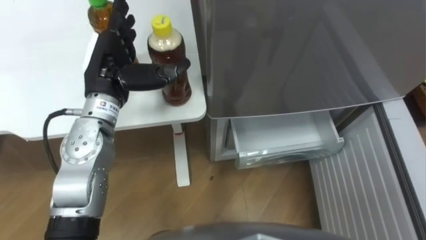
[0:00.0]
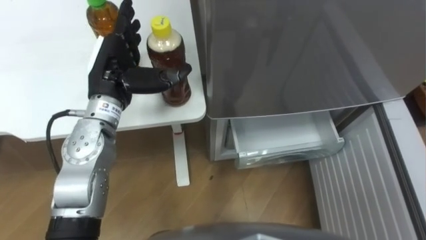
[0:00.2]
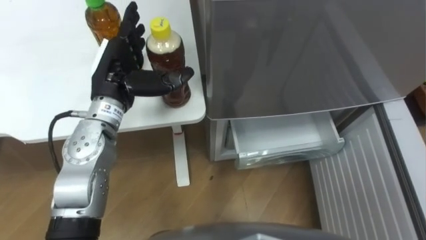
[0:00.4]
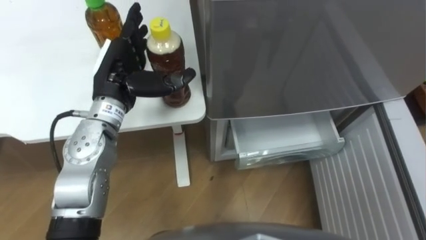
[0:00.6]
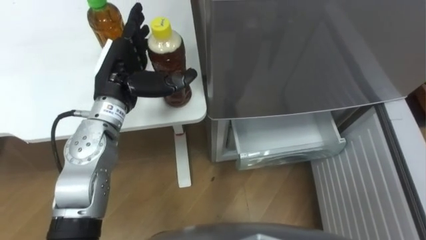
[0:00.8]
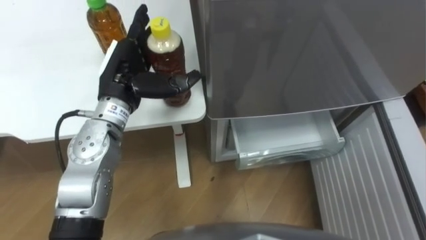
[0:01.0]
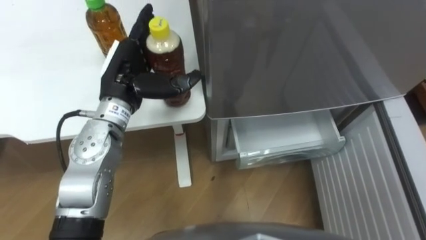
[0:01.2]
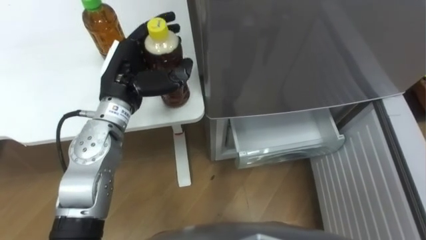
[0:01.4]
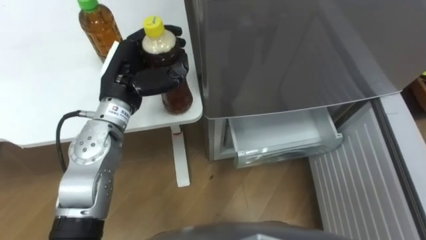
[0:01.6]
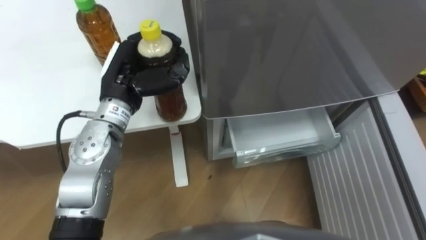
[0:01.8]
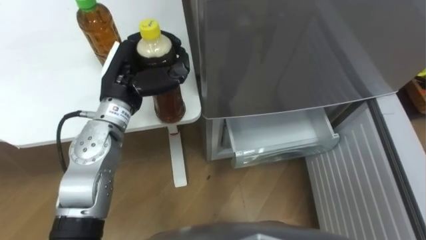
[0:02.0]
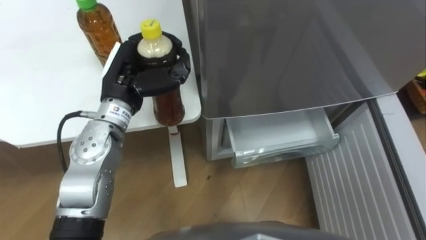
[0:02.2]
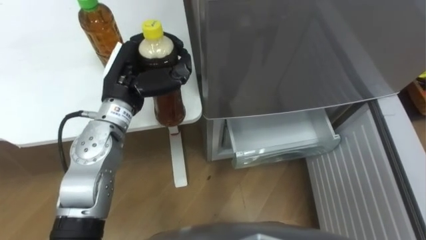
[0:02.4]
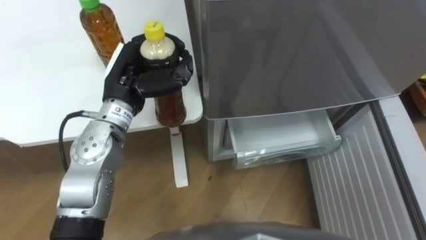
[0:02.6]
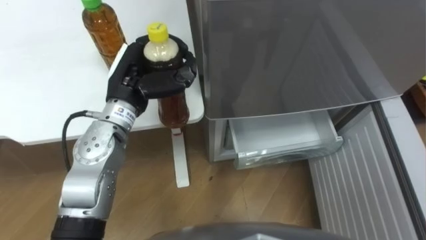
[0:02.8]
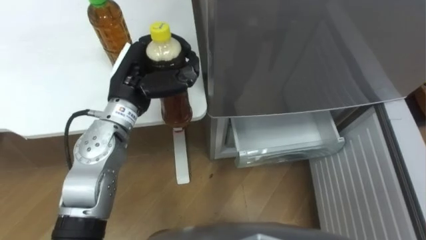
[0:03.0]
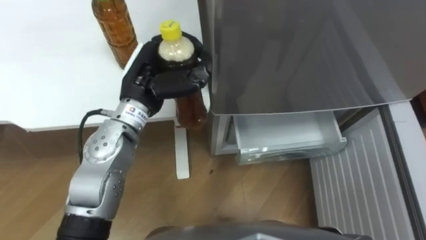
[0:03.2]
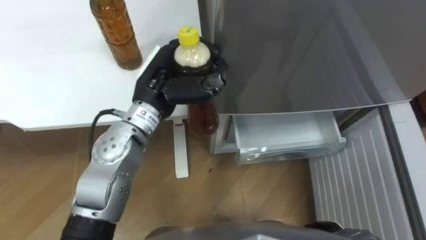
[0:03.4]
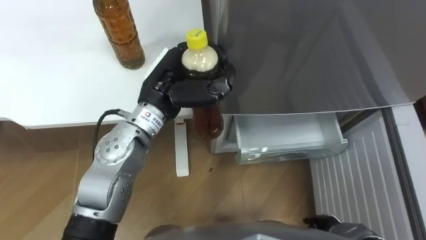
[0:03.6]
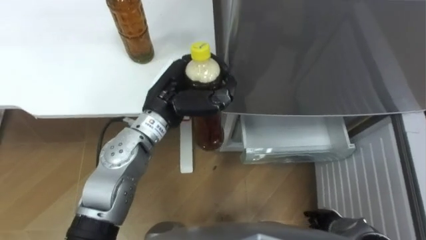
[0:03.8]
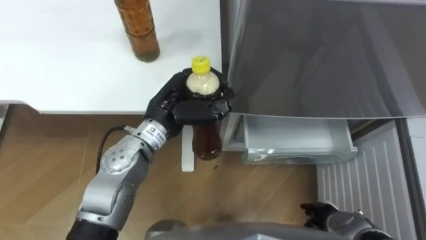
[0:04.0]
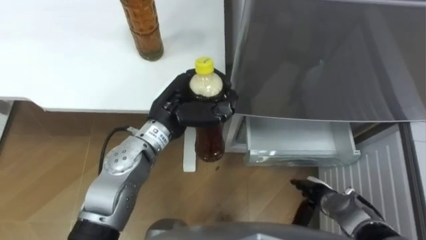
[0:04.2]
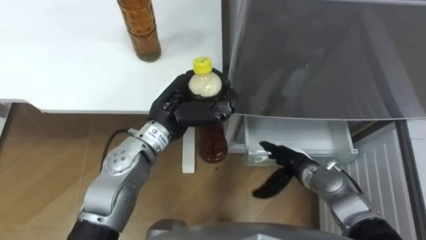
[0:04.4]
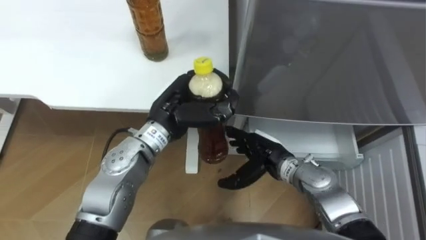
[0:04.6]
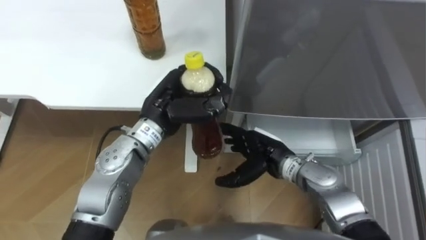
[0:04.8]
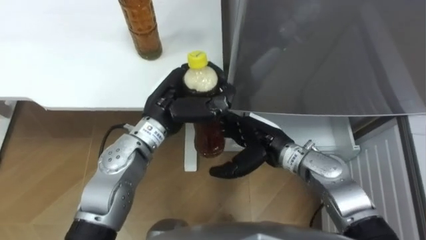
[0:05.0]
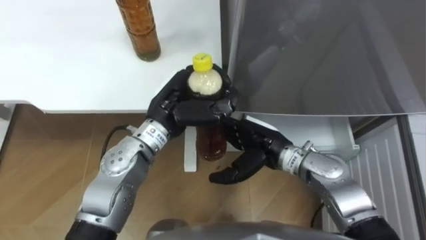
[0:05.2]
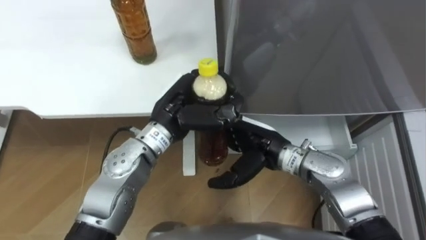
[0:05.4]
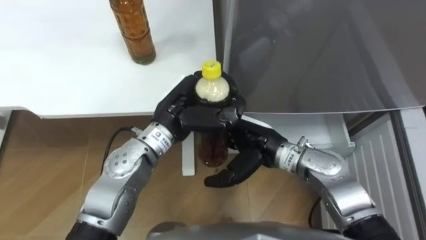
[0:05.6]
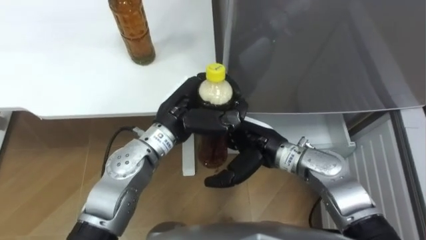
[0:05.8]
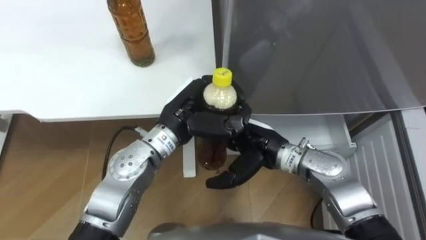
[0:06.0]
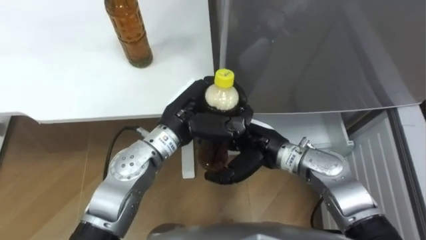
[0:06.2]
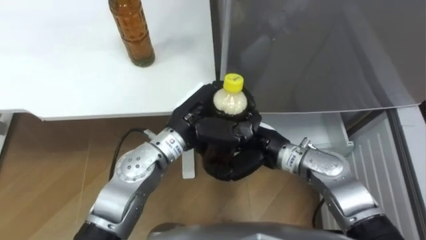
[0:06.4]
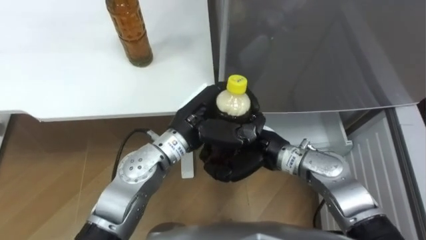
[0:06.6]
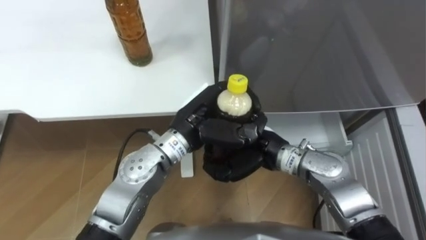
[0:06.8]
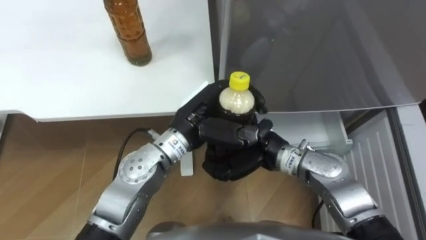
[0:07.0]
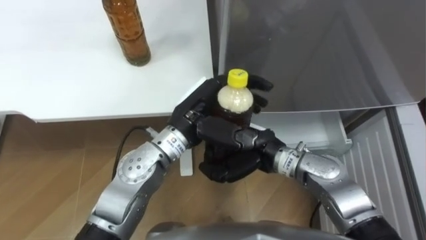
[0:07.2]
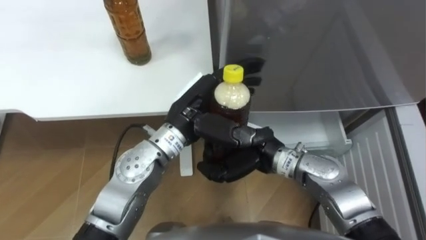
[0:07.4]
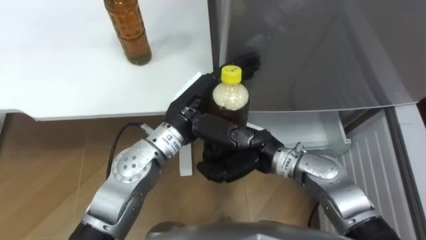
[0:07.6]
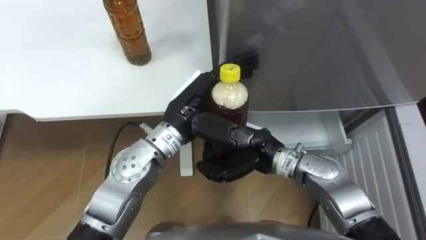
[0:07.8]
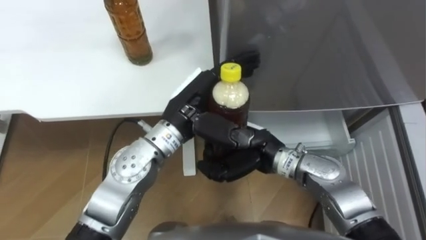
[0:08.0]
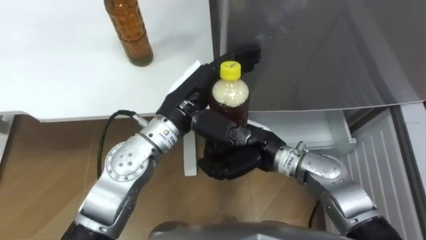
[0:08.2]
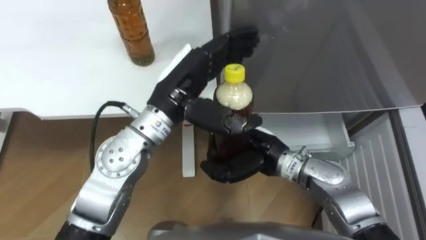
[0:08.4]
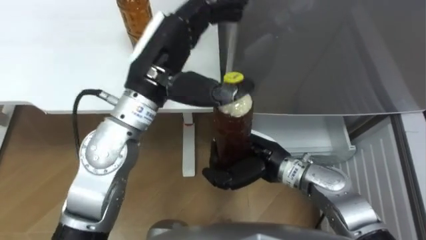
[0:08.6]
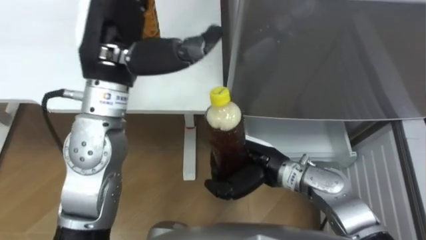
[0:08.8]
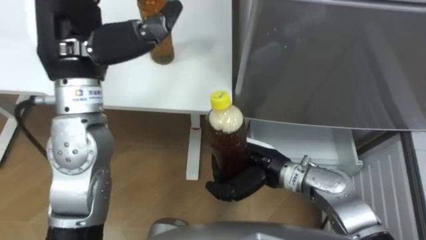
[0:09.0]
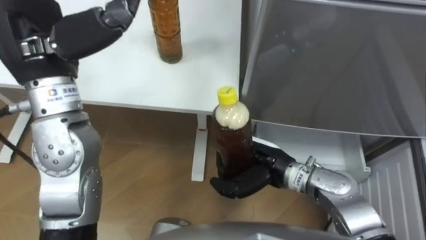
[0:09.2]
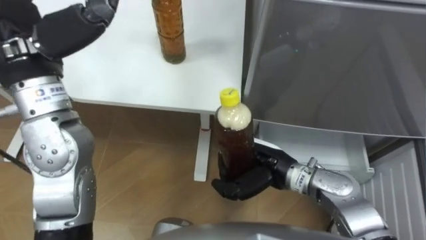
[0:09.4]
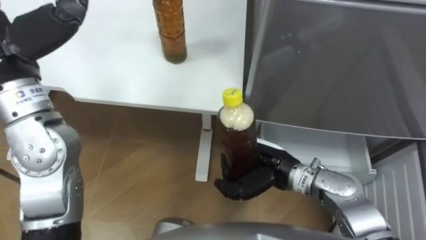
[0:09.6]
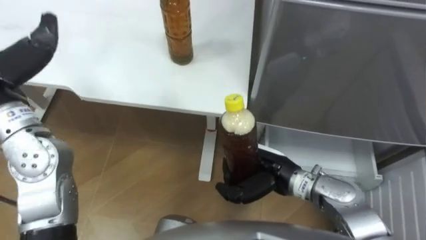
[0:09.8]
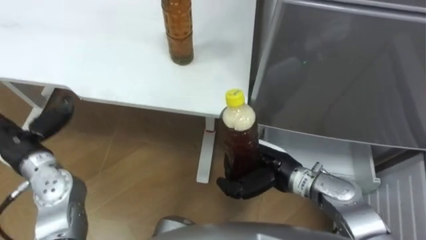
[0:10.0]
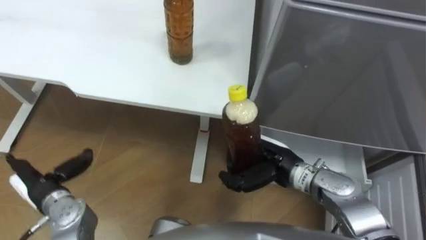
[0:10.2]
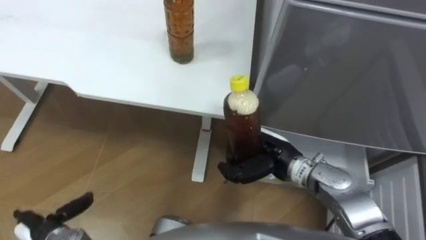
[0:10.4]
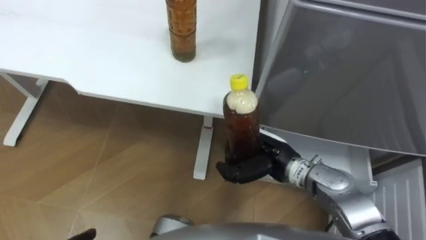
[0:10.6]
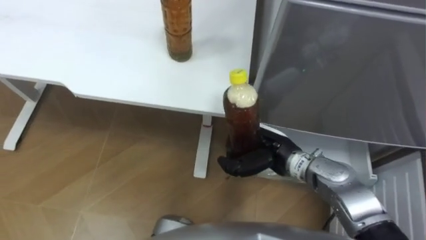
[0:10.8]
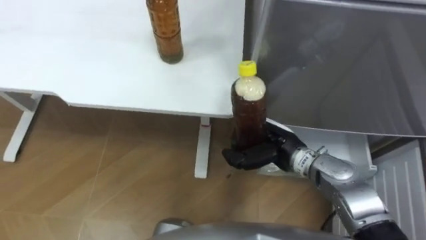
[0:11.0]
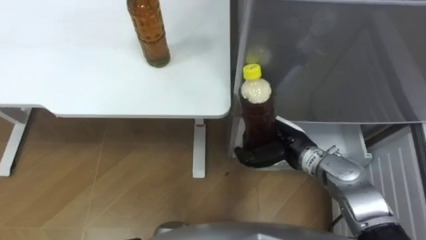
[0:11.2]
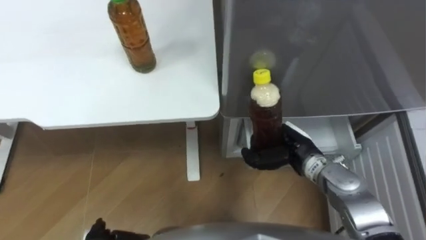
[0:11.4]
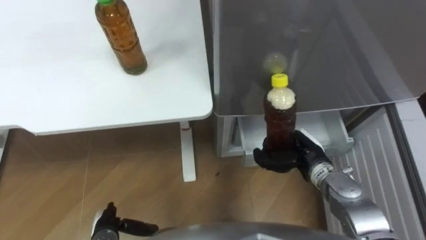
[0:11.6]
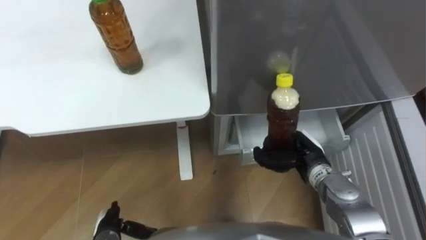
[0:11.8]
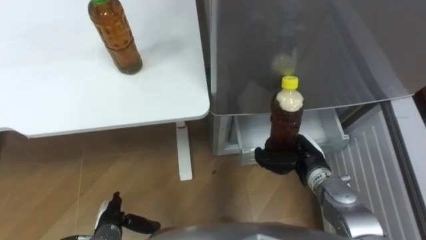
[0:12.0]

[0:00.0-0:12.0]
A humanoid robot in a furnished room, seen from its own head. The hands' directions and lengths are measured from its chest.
Task of the whole recording: Place the drink on the table on the bottom shelf of the refrigerator, then close the drawer and the refrigerator door.
0:00.0 to 0:01.6: The left hand closes up.
0:03.0 to 0:04.4: The left hand shifts approximately 5 cm to the right.
0:04.4 to 0:06.0: The right hand shifts about 15 cm upward and to the left.
0:06.0 to 0:07.6: The right hand closes up, while the left hand opens its fingers.
0:07.6 to 0:09.0: The left hand shifts about 20 cm upward and to the left.
0:10.4 to 0:12.0: The right hand shifts some 10 cm to the right.

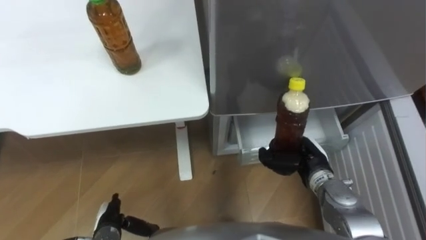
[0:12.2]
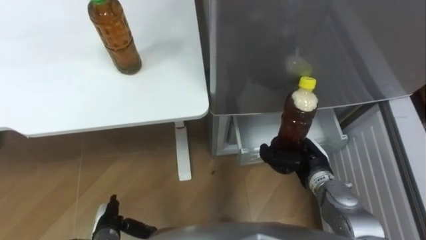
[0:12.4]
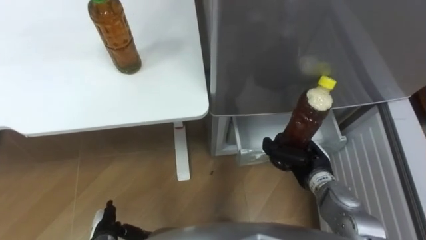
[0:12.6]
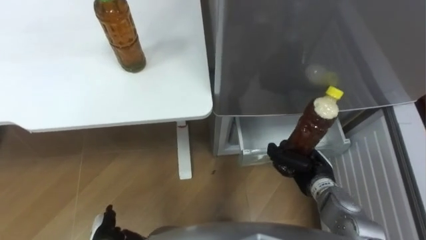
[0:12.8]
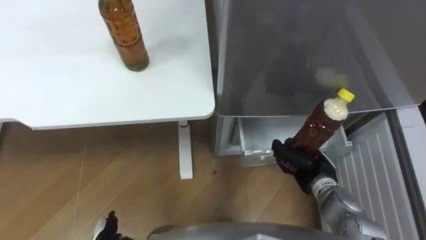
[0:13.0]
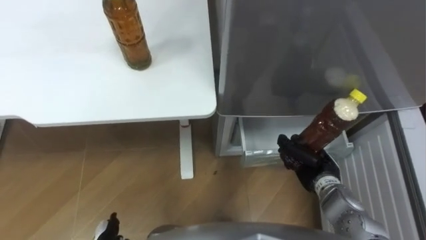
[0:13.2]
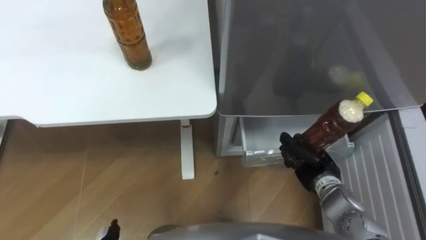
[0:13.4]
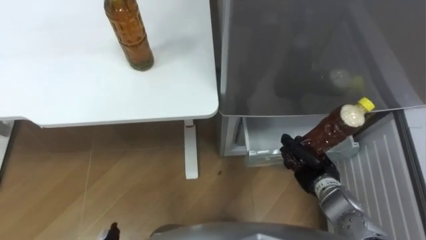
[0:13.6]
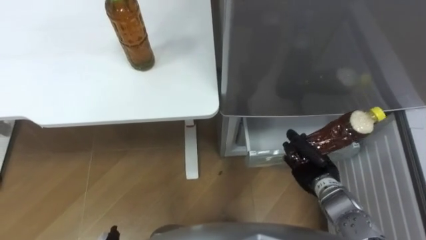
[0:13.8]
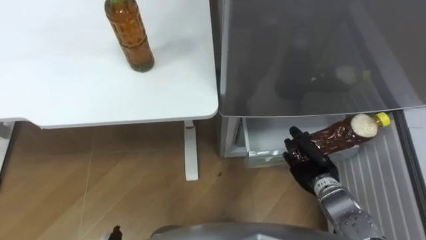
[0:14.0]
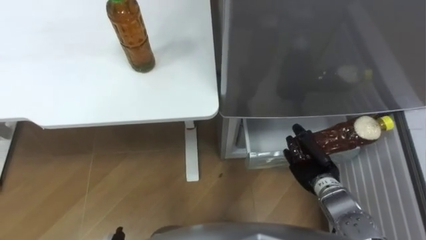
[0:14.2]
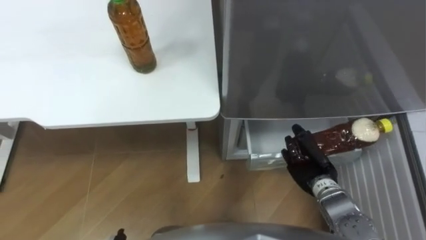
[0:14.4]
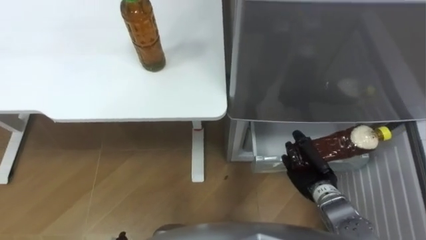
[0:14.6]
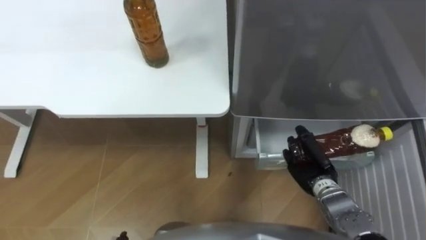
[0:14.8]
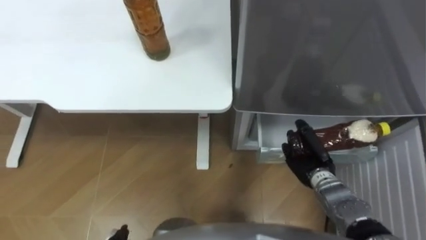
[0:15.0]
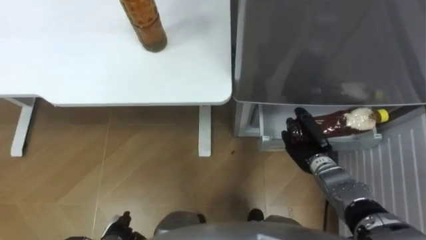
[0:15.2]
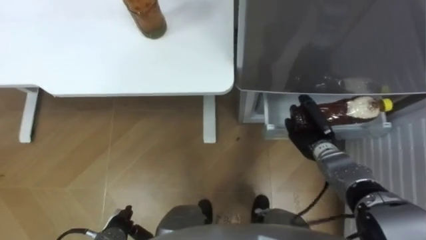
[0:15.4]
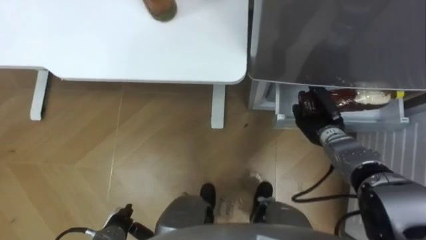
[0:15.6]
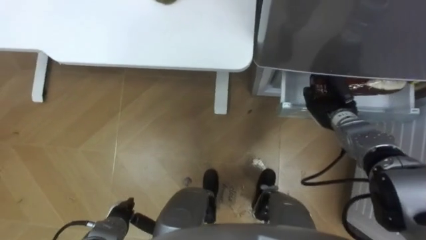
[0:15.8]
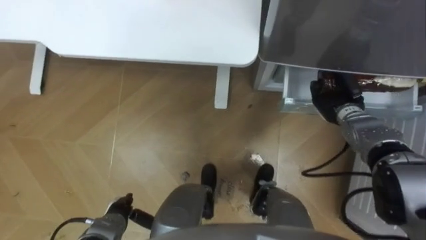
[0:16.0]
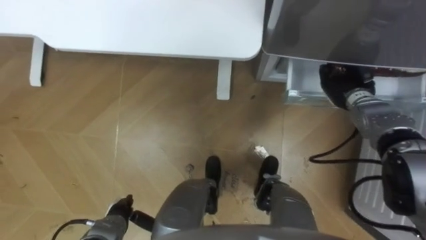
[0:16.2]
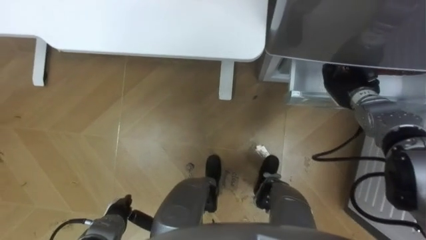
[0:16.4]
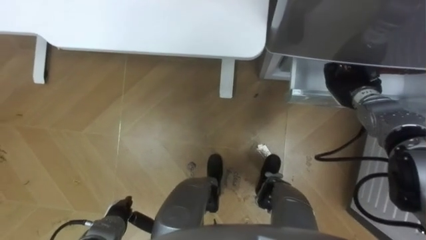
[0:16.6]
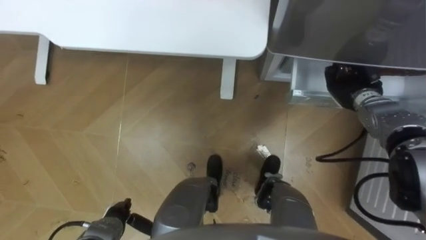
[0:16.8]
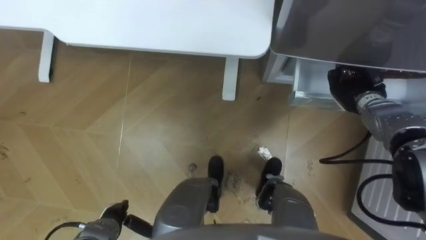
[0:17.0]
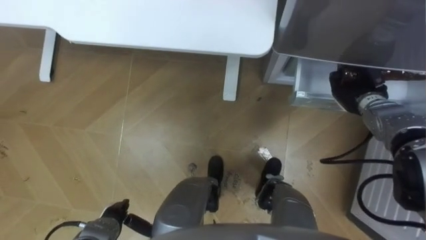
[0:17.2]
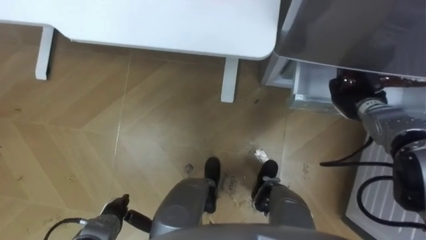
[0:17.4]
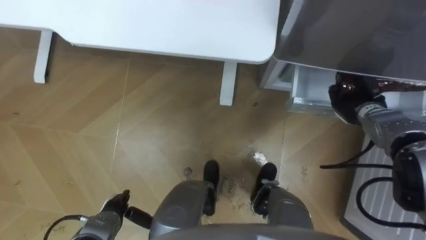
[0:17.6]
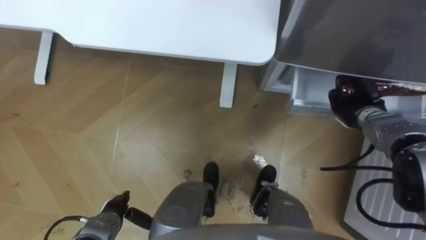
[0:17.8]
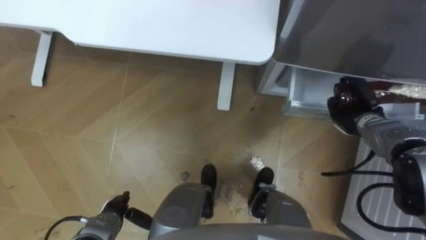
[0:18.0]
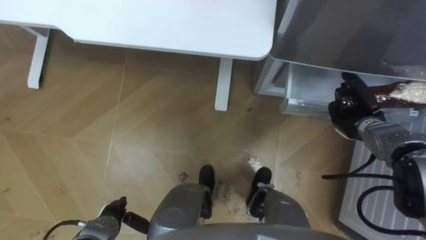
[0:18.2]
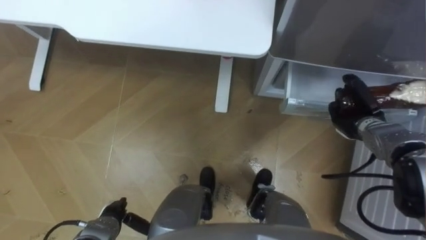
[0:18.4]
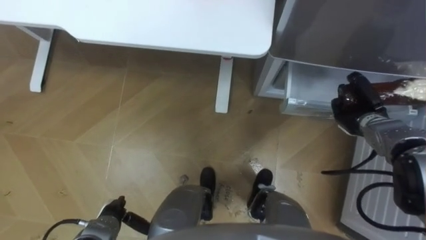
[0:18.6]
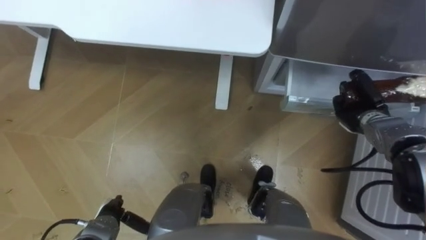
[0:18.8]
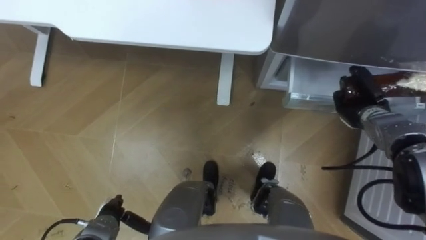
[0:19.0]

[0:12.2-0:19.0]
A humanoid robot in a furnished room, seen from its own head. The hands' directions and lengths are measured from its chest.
Task of the whole recording: Place the drink on the table on the bottom shelf of the refrigerator, then close the drawer and the refrigerator door.
0:15.0 to 0:16.2: The right hand moves forward, upward and to the right, about 20 cm.
